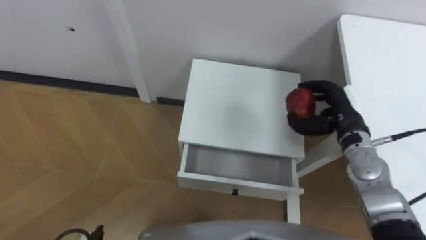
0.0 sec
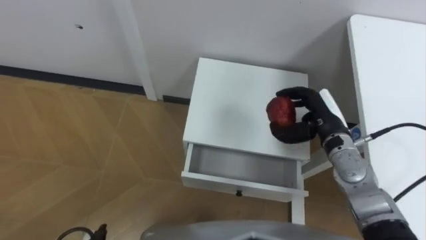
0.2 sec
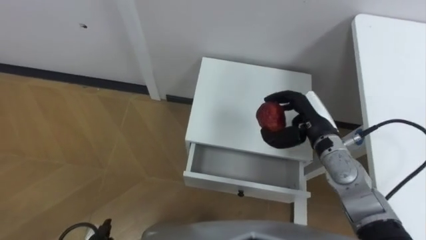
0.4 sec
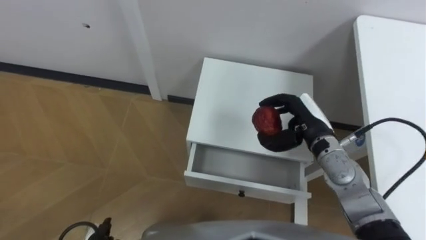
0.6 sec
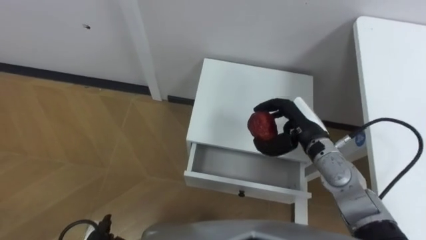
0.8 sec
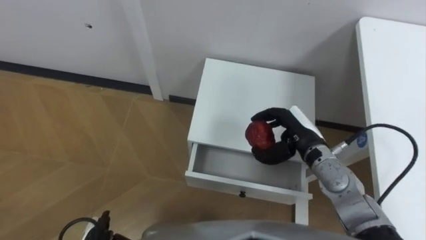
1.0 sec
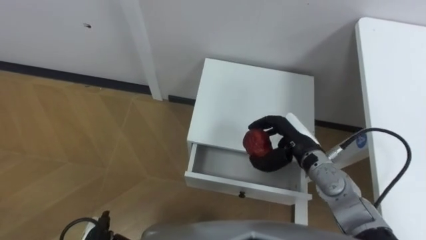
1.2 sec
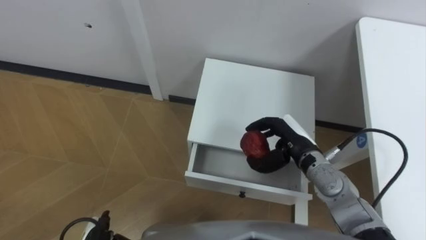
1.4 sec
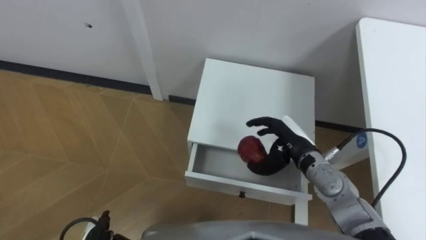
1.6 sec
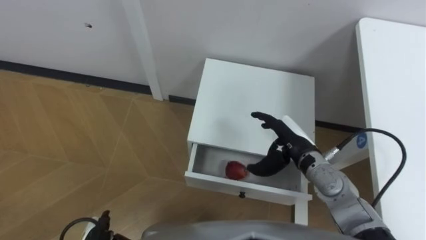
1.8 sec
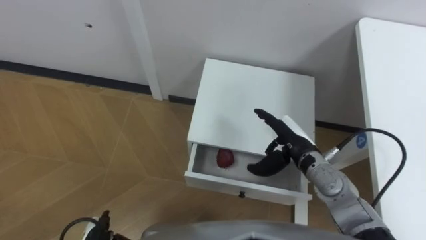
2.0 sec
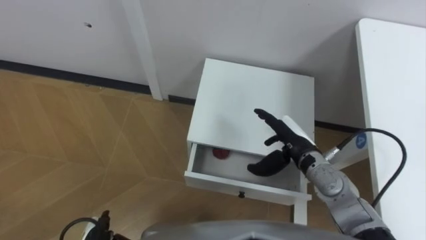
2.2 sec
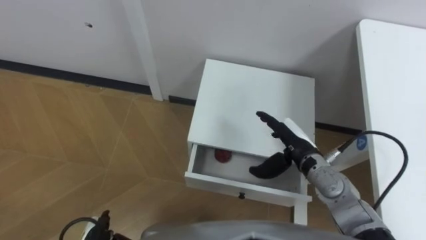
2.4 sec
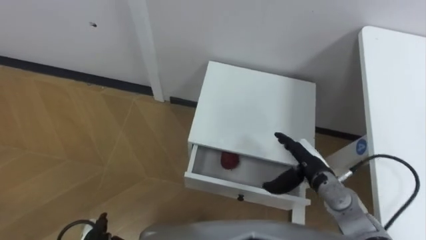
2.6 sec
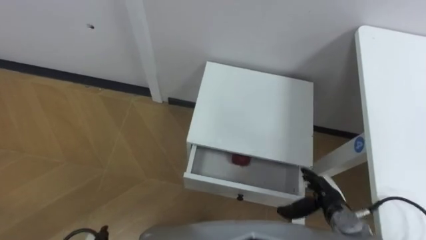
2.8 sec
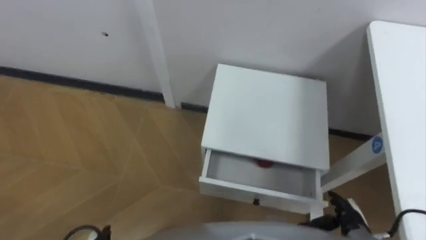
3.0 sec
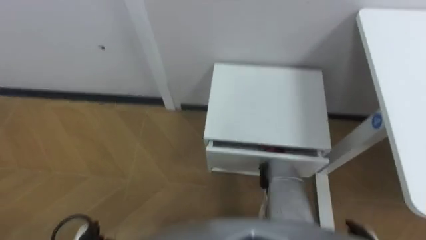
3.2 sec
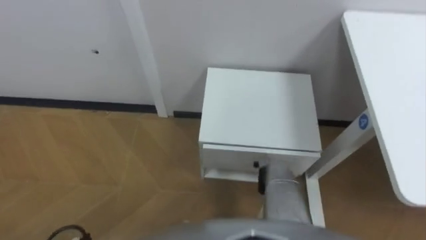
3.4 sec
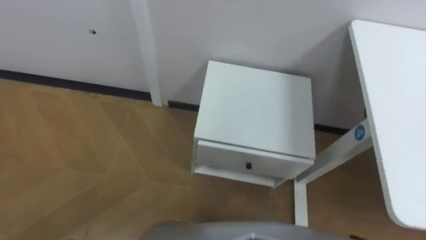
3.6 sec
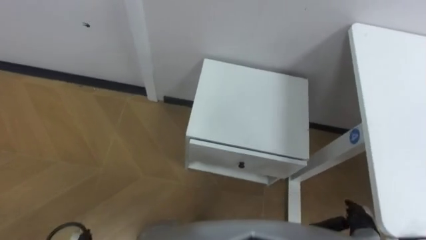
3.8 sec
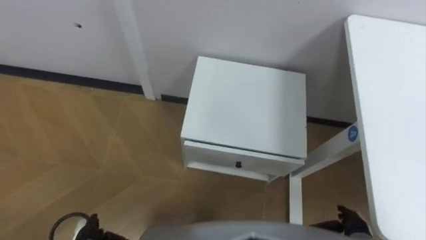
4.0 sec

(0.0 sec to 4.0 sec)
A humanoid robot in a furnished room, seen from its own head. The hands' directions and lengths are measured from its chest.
Task of the whole recording: Pick up the apple from the table, put it in the drawer, and close the drawer with leg.
0.0 sec - 1.4 sec: The right hand goes approximately 10 cm to the left.
1.4 sec - 2.6 sec: The right hand changes place by some 5 cm, and opens.

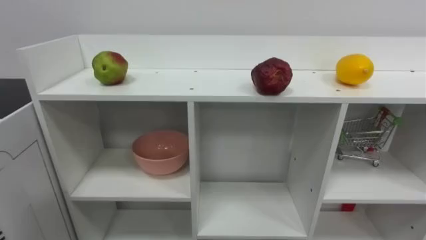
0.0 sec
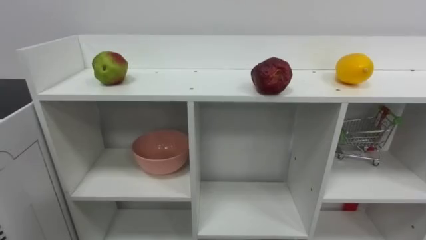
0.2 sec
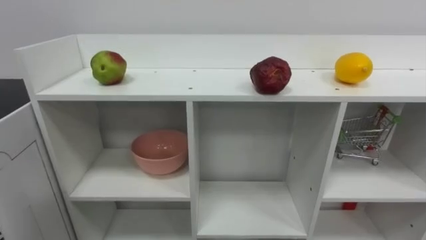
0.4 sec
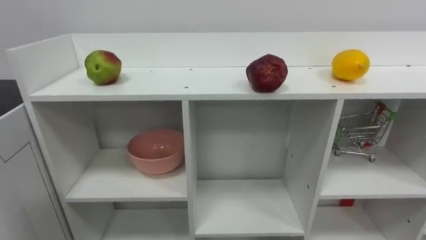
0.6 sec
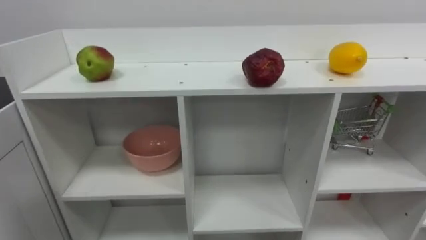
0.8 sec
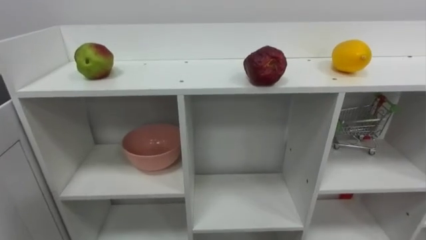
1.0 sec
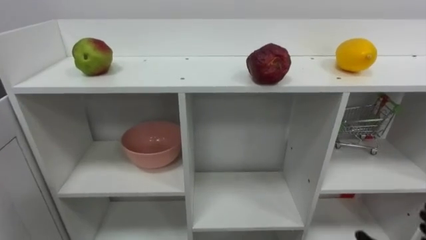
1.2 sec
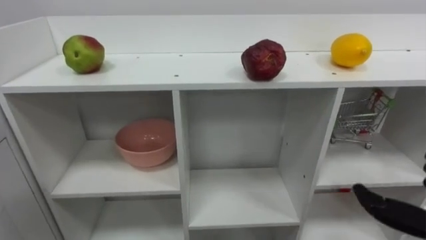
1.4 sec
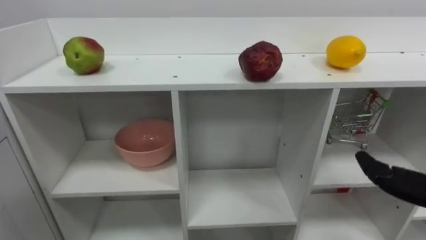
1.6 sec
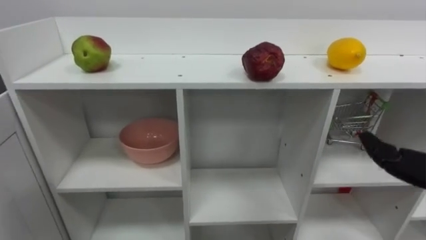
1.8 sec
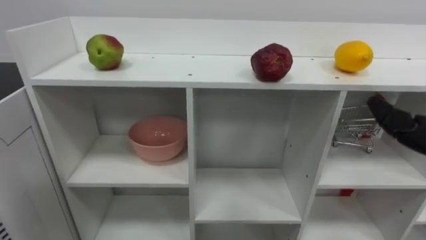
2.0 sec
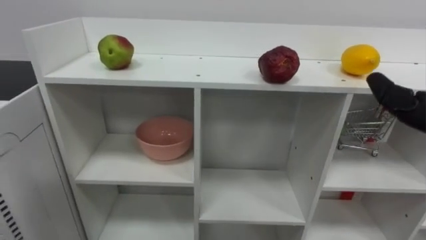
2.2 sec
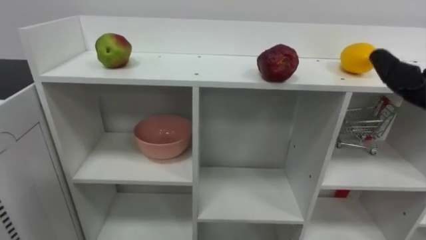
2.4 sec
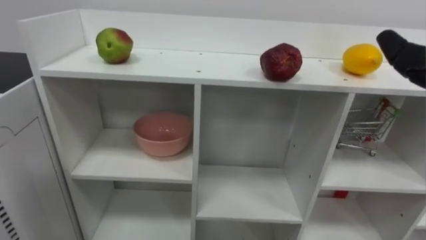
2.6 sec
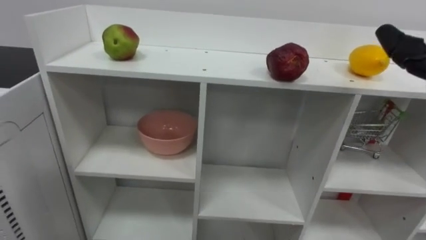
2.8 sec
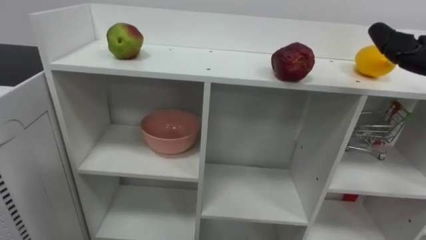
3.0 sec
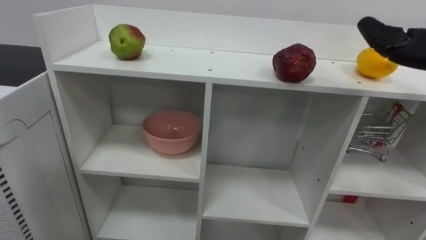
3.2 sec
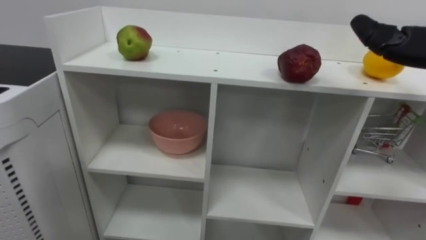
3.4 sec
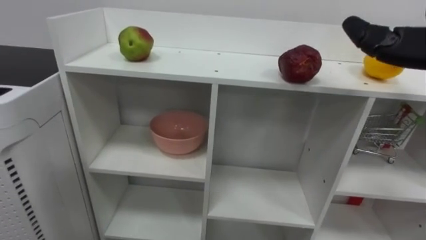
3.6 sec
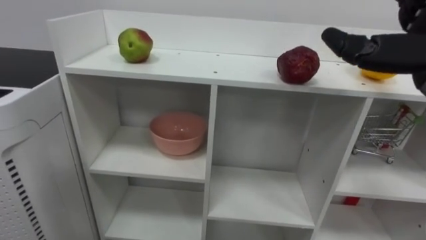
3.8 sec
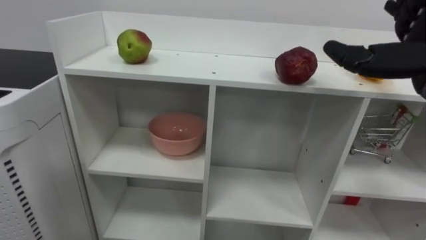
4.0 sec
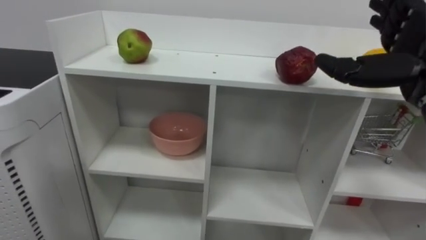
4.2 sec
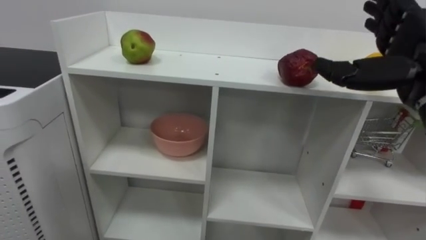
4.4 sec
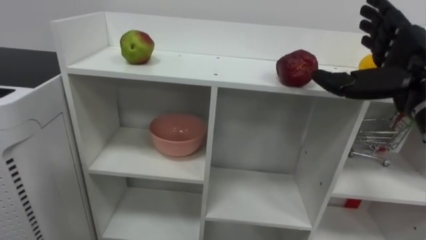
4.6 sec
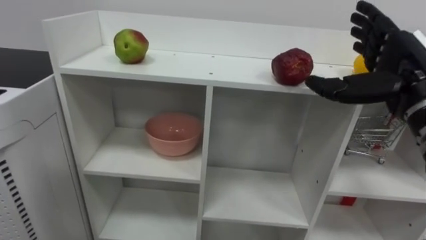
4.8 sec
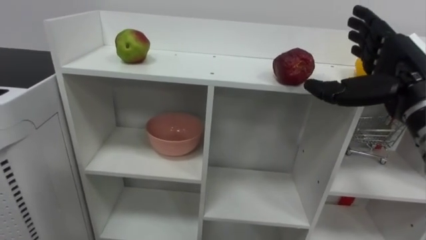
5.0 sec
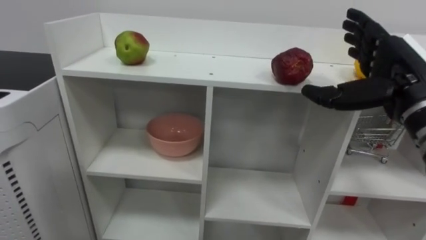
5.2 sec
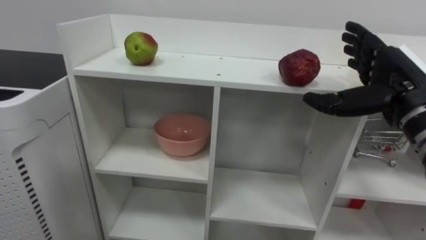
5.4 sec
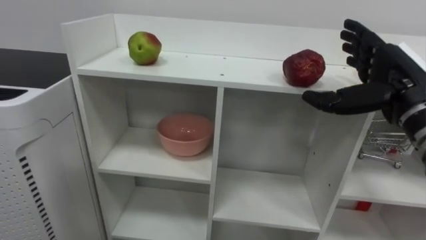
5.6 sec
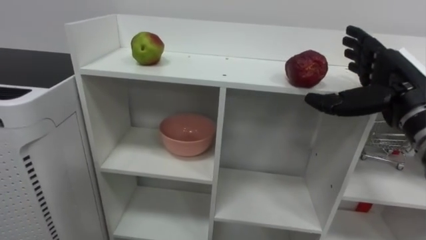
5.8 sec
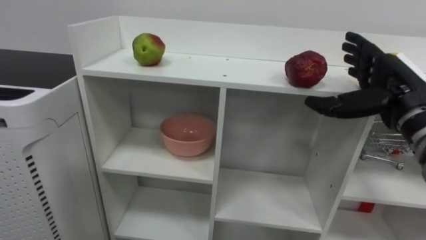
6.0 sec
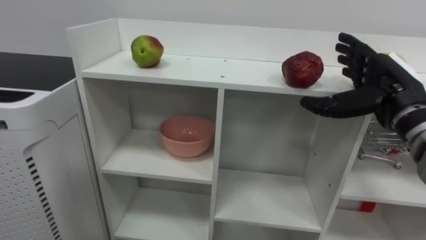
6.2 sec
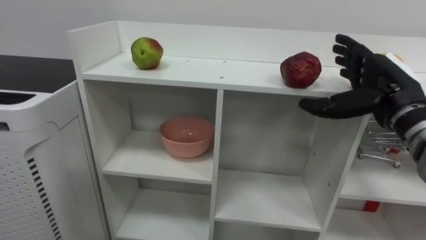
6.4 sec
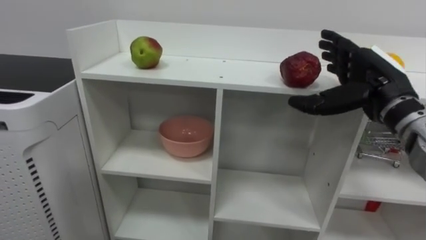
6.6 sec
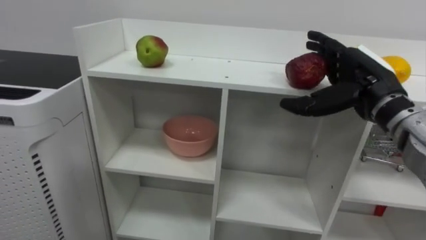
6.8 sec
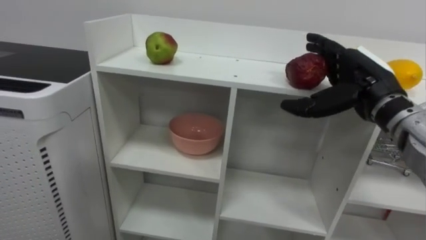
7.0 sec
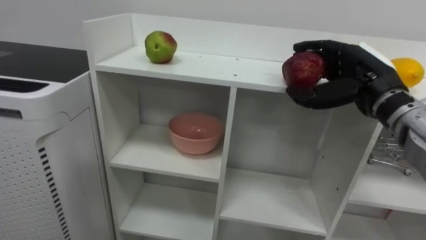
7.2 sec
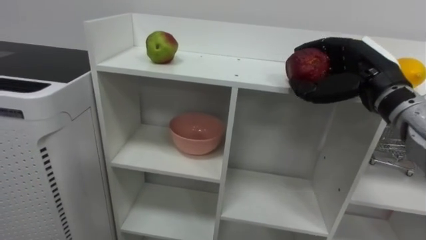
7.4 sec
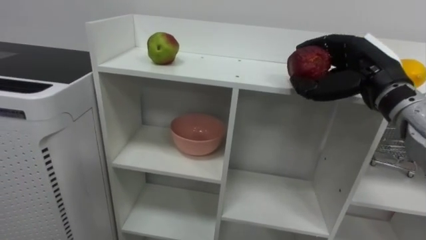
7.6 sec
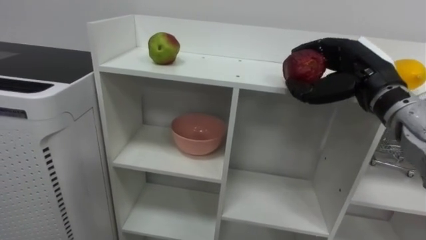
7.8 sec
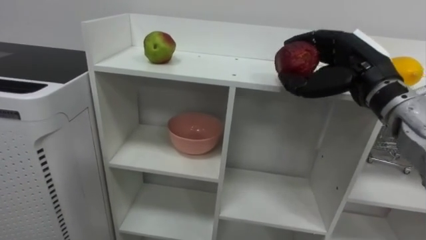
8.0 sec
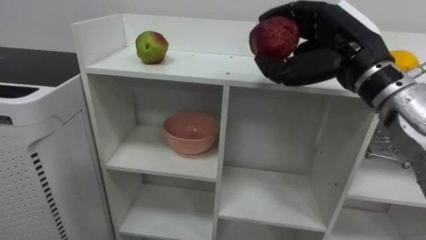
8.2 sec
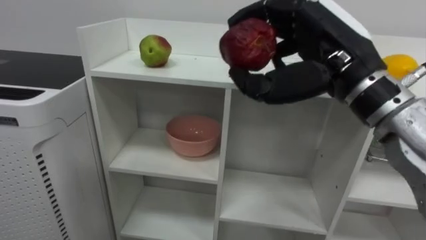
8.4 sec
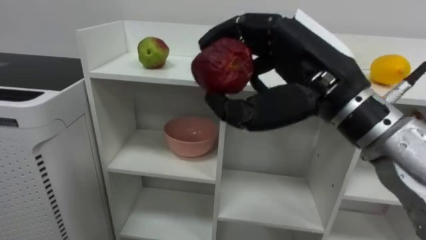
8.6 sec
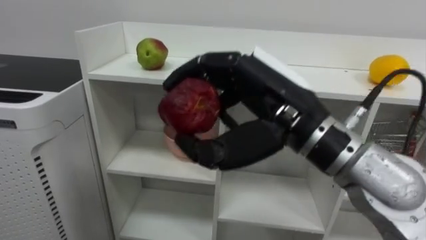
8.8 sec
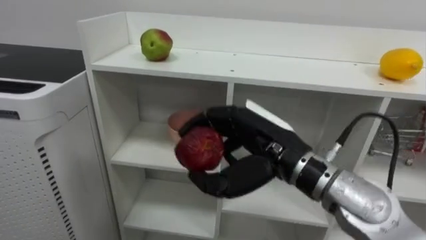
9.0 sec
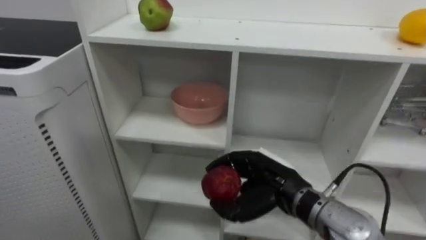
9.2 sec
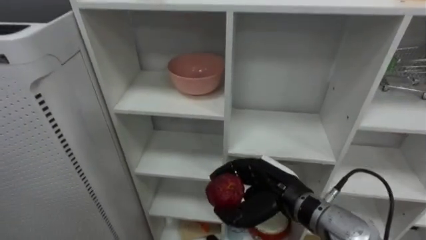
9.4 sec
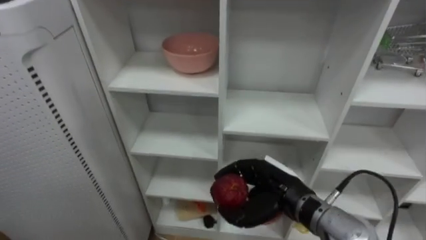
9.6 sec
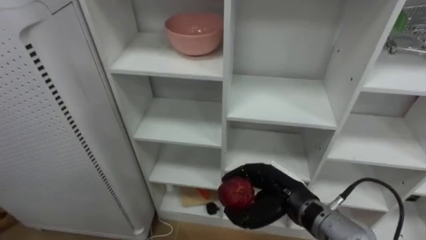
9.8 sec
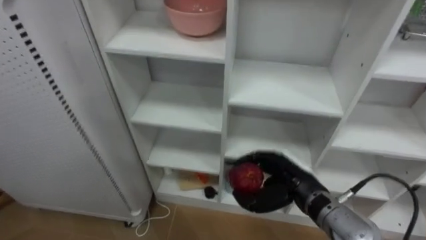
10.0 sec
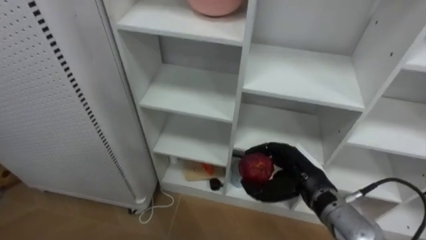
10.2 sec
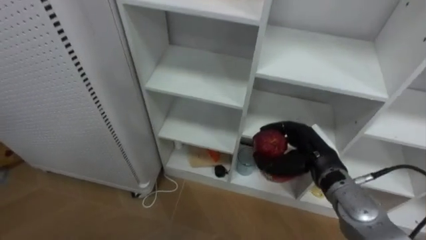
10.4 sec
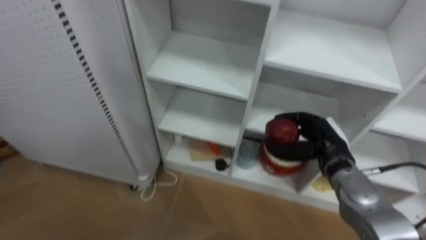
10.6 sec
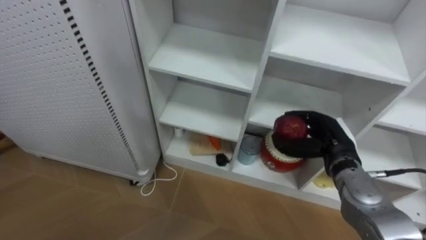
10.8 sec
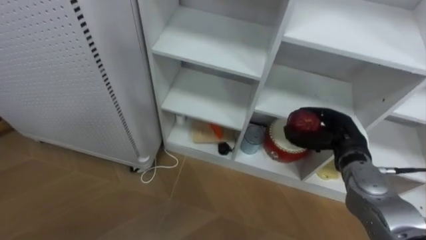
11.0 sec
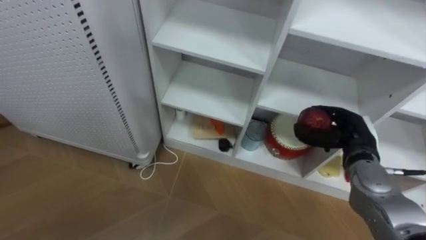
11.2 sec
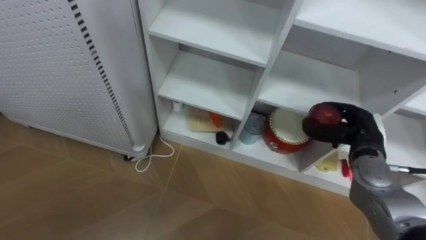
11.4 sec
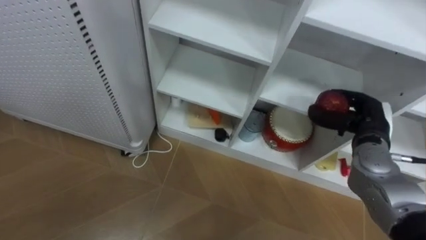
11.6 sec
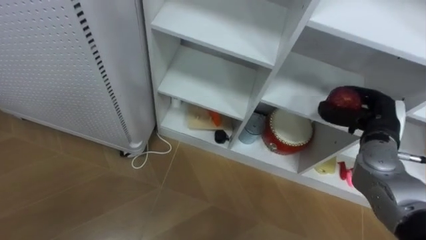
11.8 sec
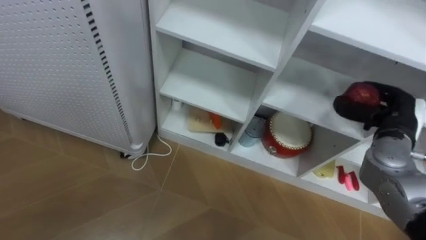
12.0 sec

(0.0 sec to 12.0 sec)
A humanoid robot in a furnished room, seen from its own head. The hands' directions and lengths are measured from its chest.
Task of the whole recording: Put the apple in the cell in the second column from the left and the second row from the top.
4.4 sec - 6.0 sec: The right hand moves downward, roughly 5 cm.
6.0 sec - 7.6 sec: The right hand closes up.
7.6 sec - 9.0 sec: The right hand travels to the left and backward by about 20 cm.
9.0 sec - 10.4 sec: The right hand heads downward, to the right and forward, covering approximately 15 cm.
10.4 sec - 12.0 sec: The right hand goes roughly 15 cm to the right and upward.

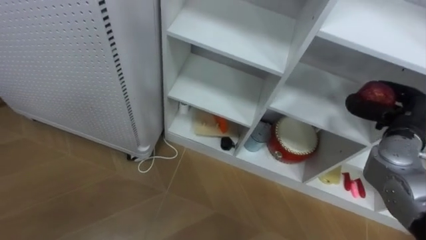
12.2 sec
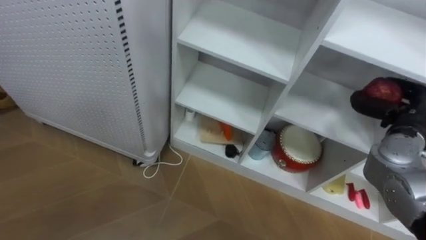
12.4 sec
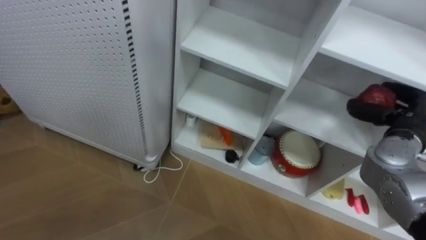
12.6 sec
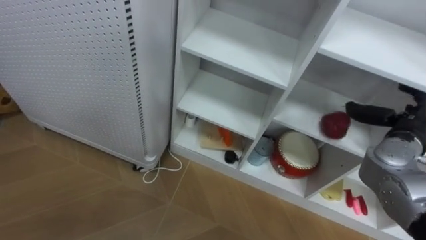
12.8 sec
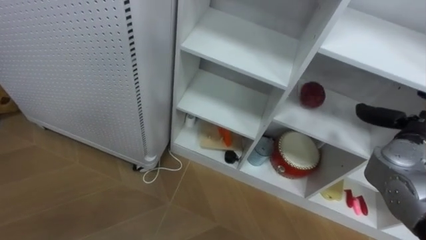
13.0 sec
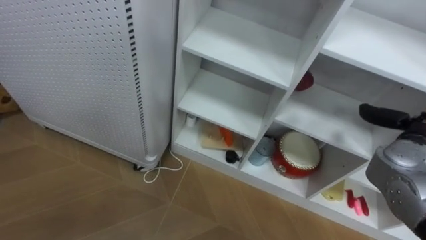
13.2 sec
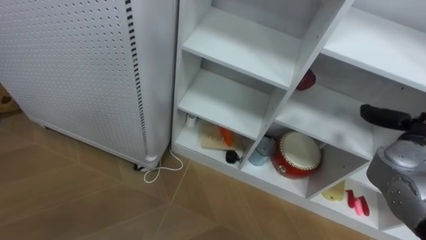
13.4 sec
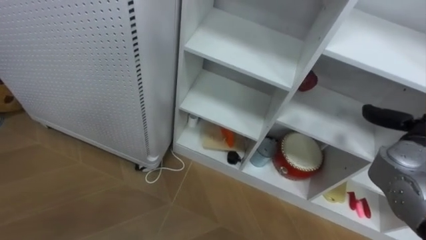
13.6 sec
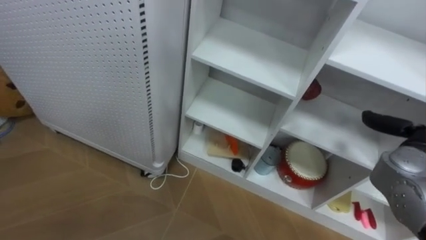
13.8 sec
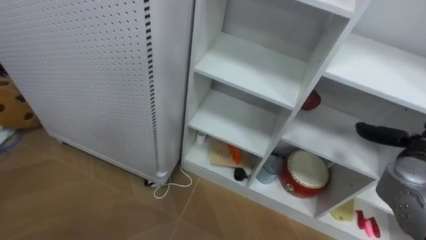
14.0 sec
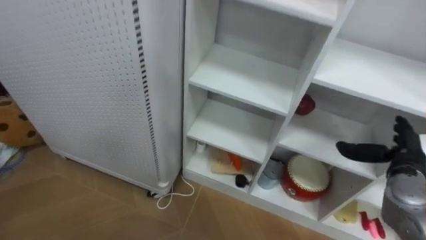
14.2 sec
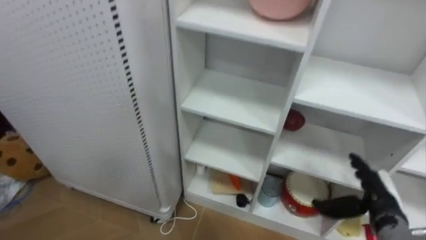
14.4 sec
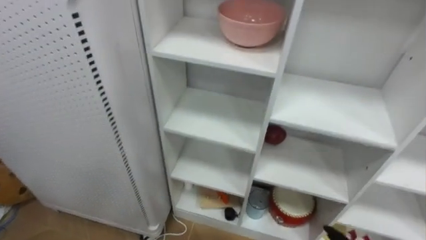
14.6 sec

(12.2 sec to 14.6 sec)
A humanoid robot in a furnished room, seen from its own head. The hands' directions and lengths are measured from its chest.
Task of the whole recording: Put the apple in the cell in the second column from the left and the second row from the top.
12.2 sec - 13.4 sec: The right hand opens its fingers.
